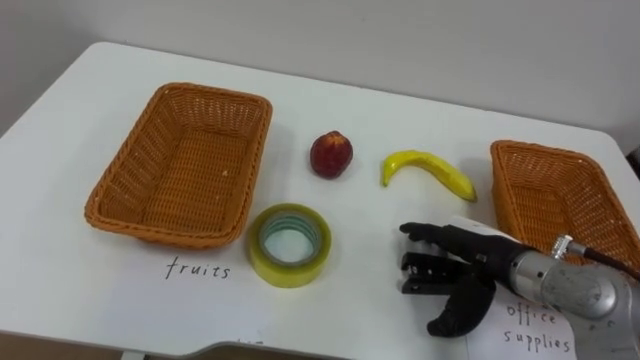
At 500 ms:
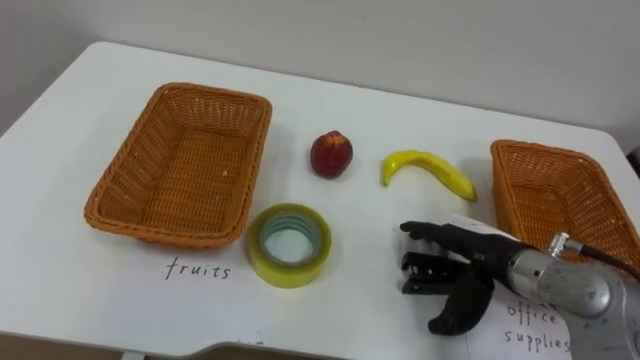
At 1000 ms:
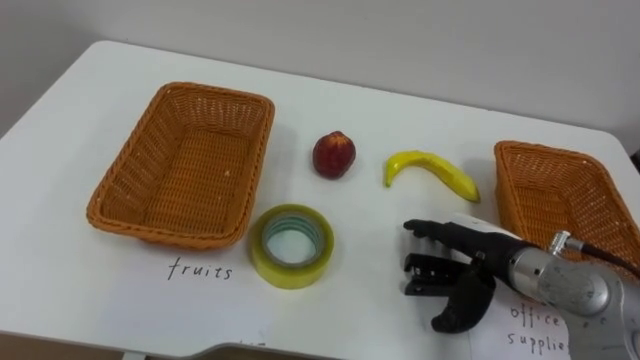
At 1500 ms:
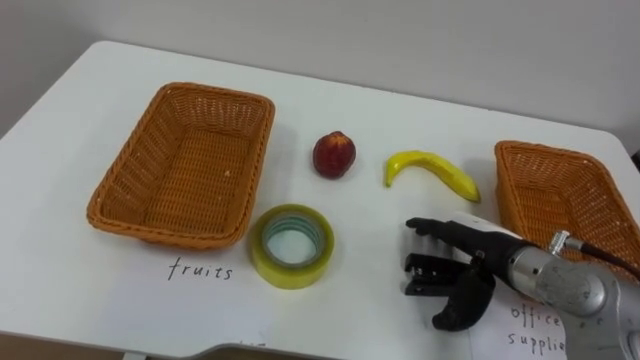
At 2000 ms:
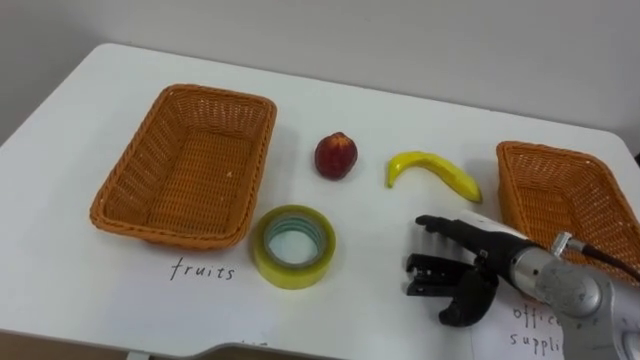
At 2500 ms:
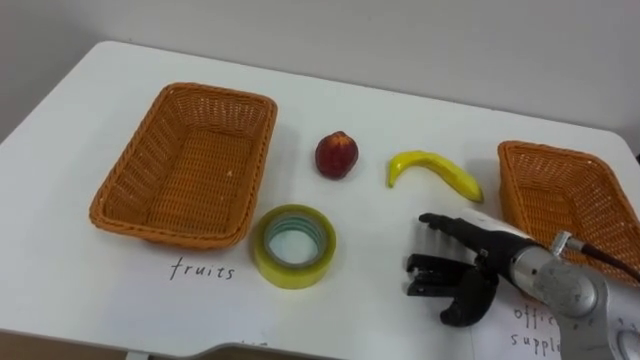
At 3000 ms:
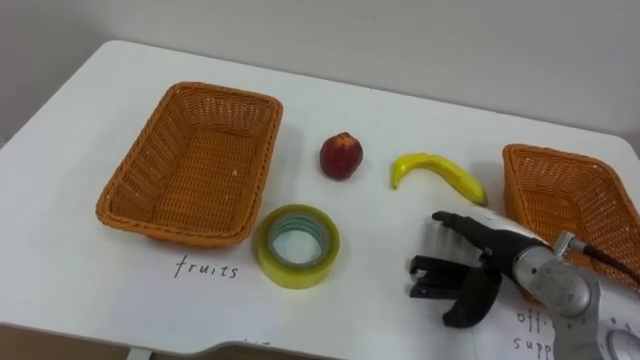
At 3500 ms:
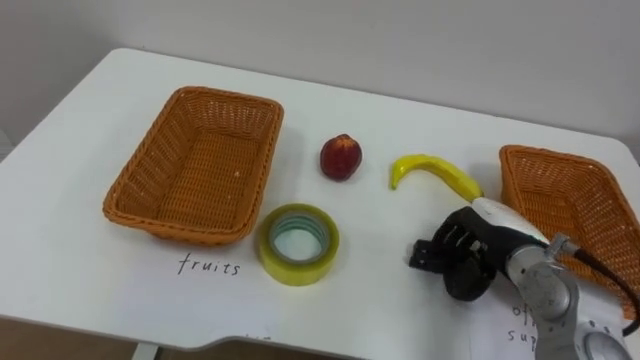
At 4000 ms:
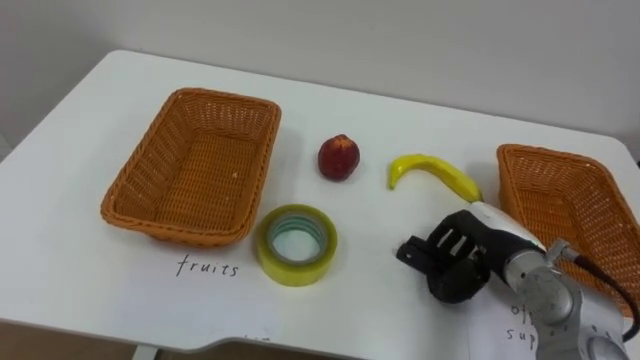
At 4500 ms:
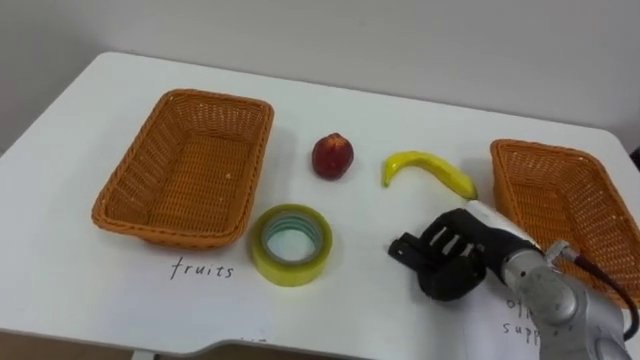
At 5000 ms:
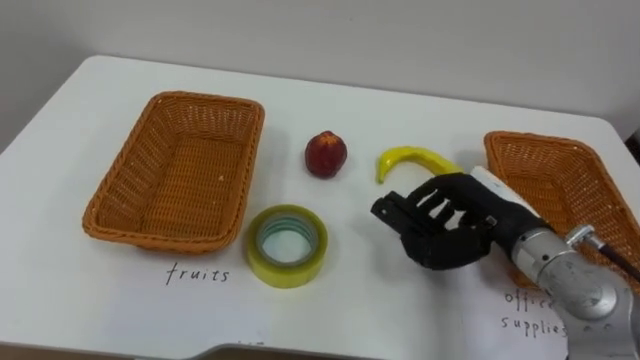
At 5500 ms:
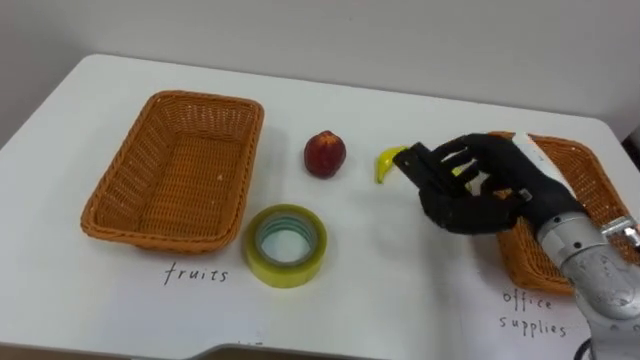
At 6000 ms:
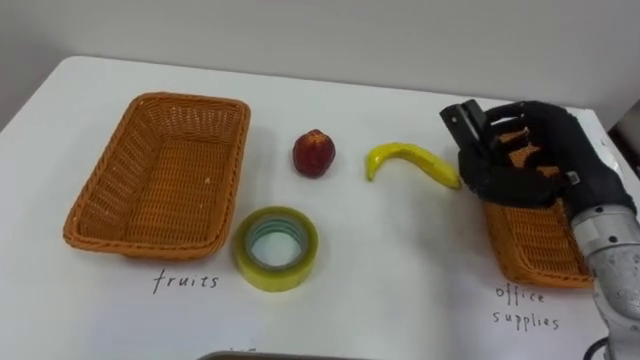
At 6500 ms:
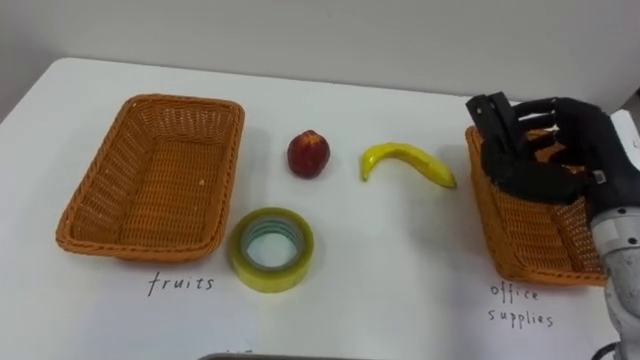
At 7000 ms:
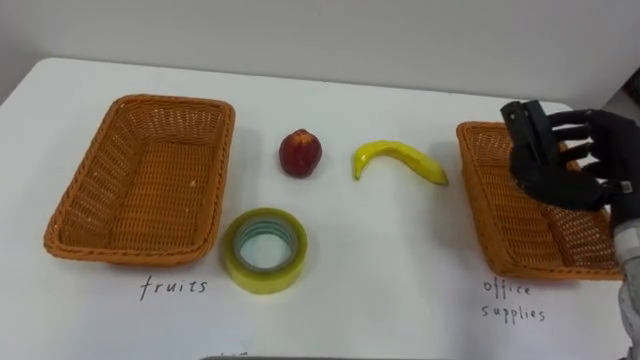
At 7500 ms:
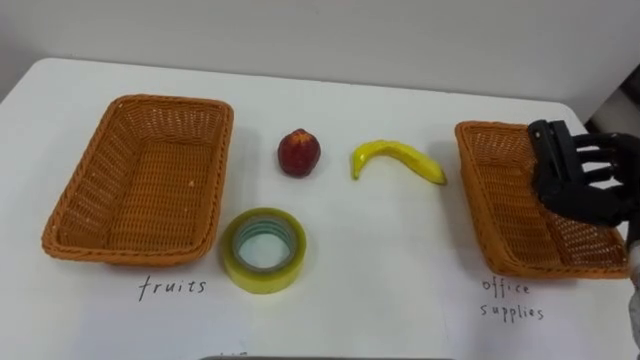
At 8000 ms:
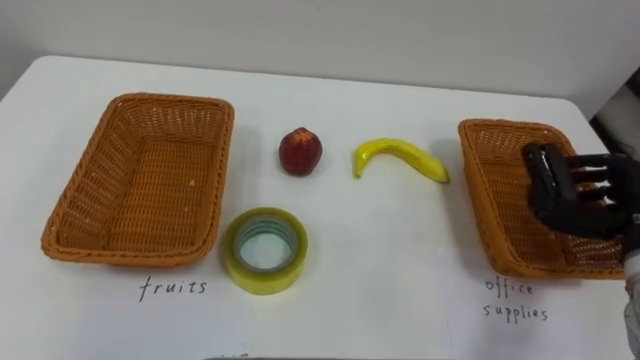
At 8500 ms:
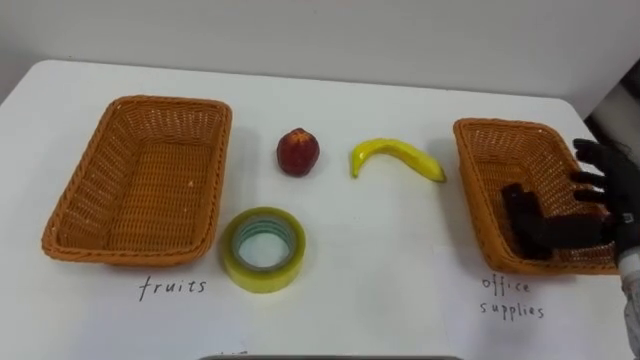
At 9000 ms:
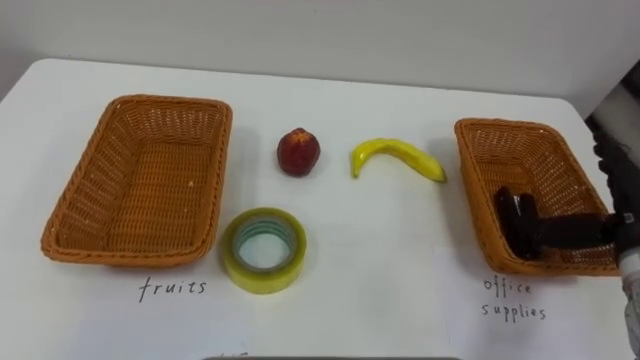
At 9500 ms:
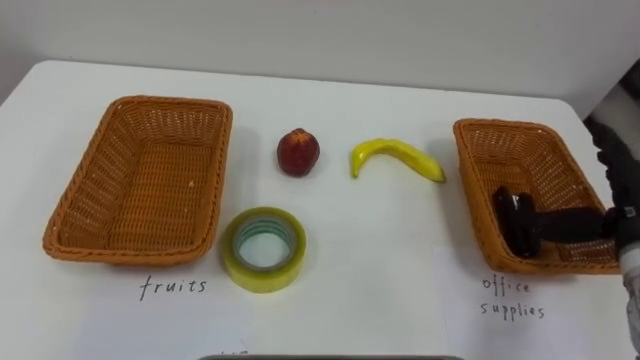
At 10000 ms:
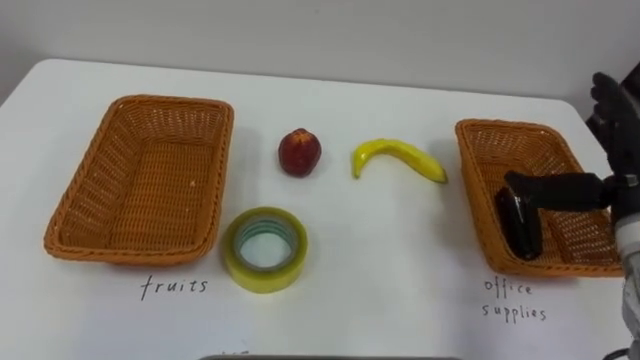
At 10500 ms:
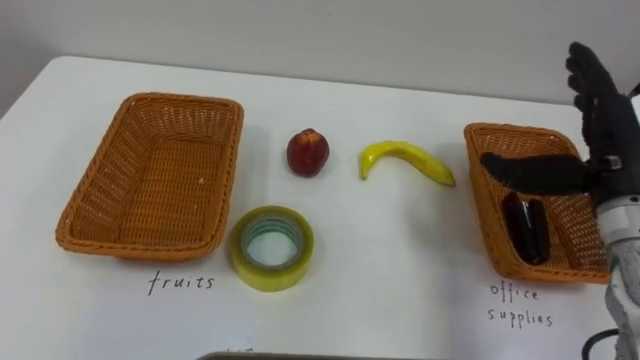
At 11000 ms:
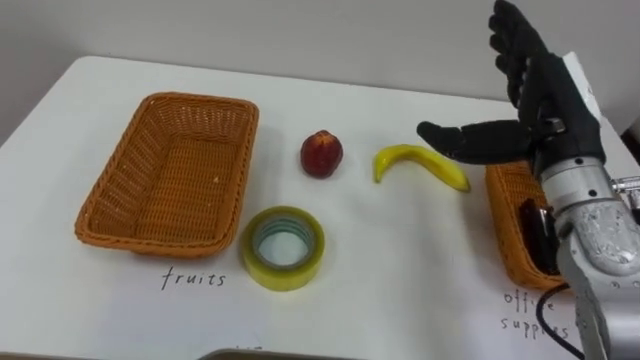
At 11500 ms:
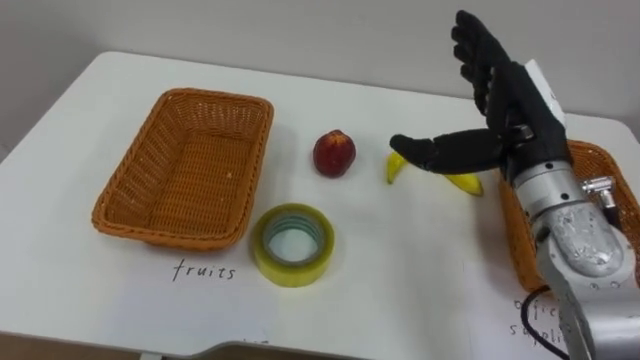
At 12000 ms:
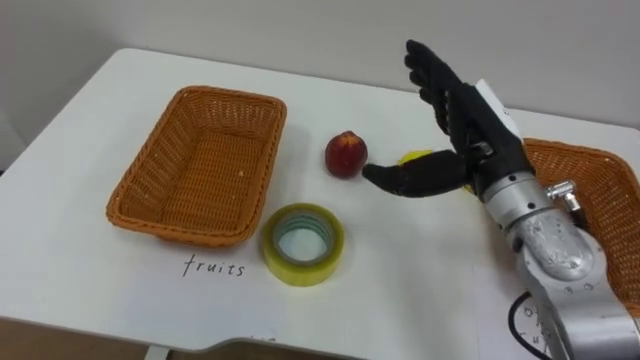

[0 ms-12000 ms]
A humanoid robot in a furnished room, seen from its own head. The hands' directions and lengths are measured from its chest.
Task of the whole recording: Separate the items on the table and place them into the two baskets.
2000 ms to 4000 ms: The right hand closes up.
4000 ms to 6000 ms: The right hand is displaced upward by approximately 10 cm.
8000 ms to 10000 ms: The right hand travels upward by about 5 cm, and opens its fingers.
10000 ms to 12000 ms: The right hand moves to the left, approximately 15 cm.

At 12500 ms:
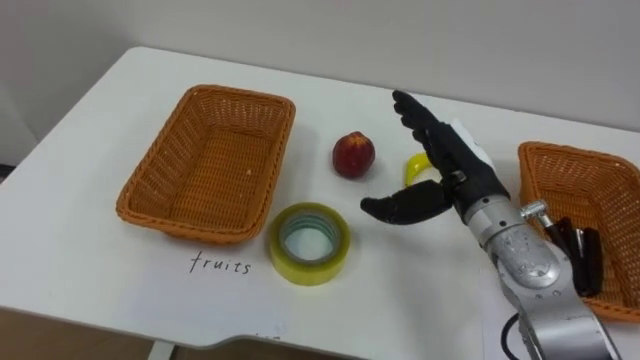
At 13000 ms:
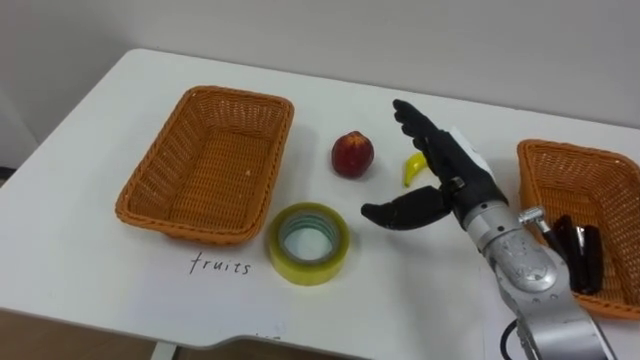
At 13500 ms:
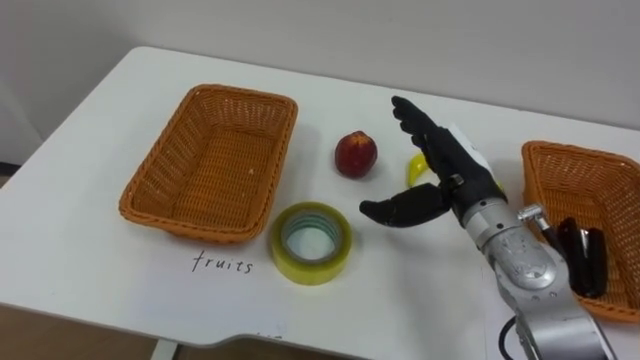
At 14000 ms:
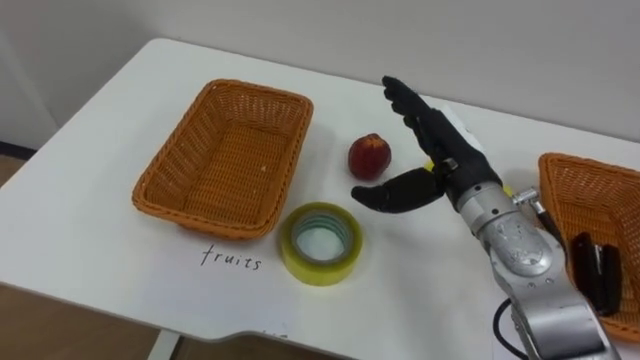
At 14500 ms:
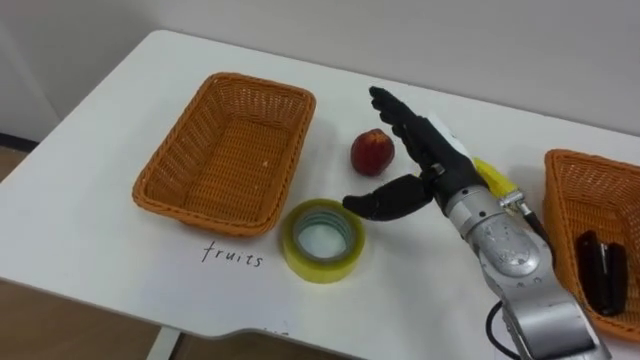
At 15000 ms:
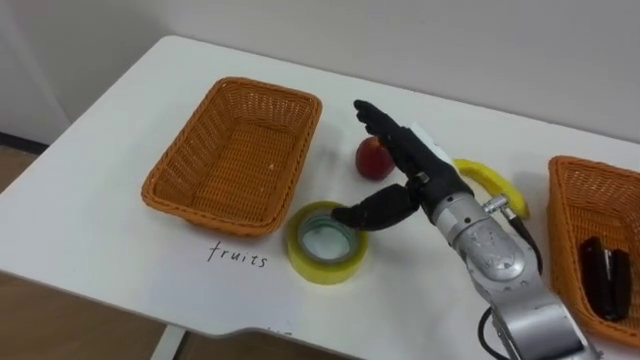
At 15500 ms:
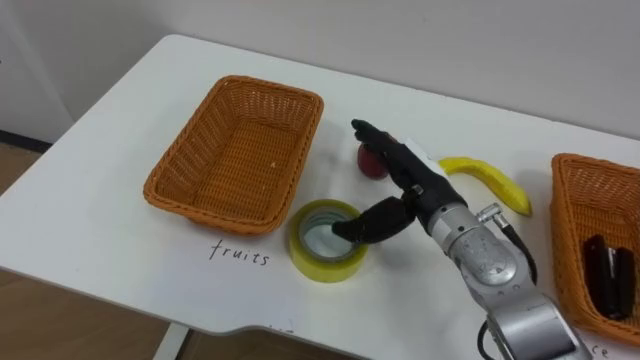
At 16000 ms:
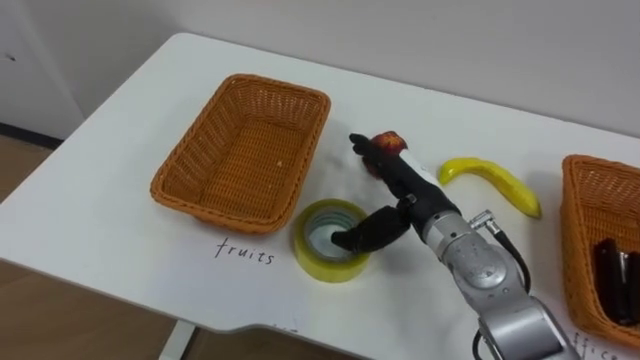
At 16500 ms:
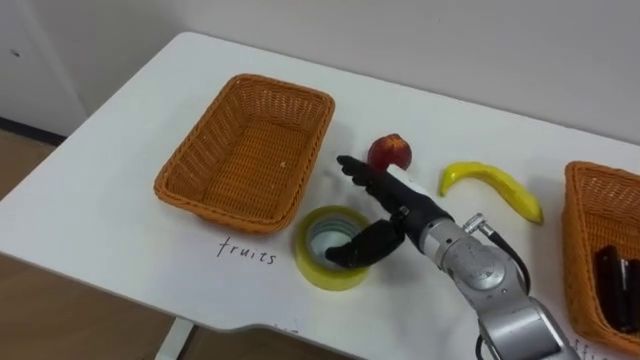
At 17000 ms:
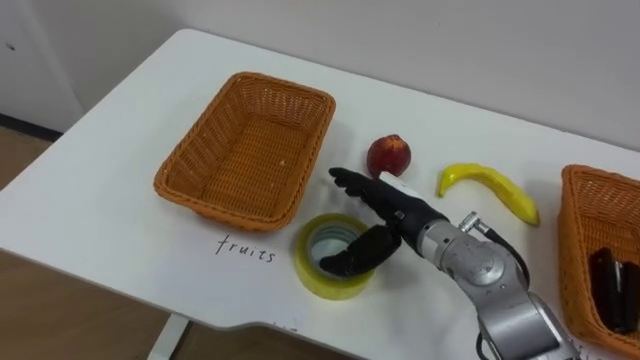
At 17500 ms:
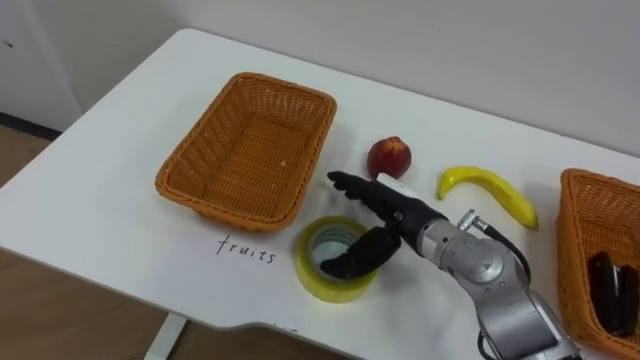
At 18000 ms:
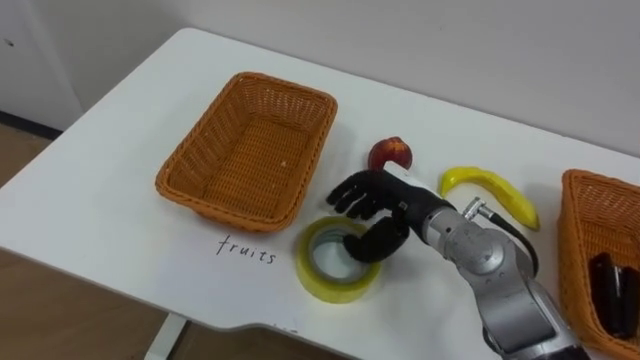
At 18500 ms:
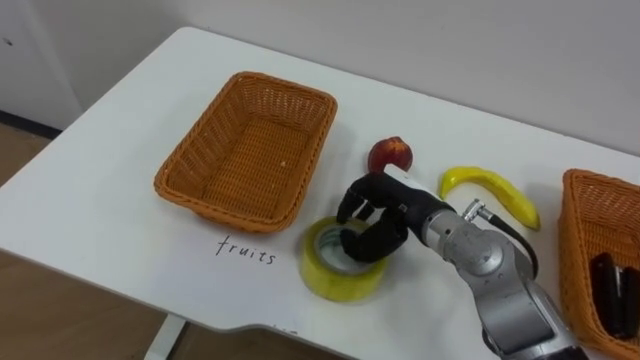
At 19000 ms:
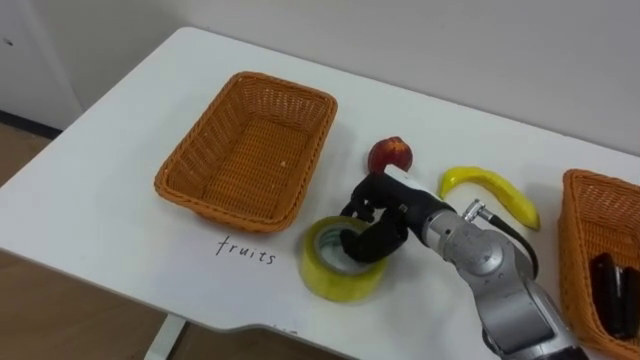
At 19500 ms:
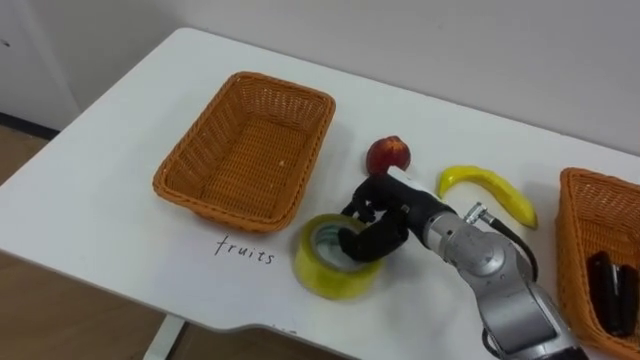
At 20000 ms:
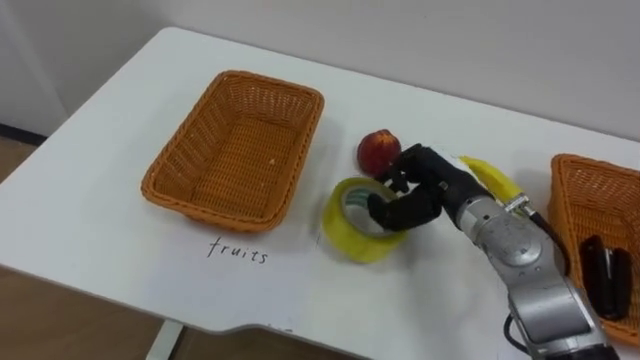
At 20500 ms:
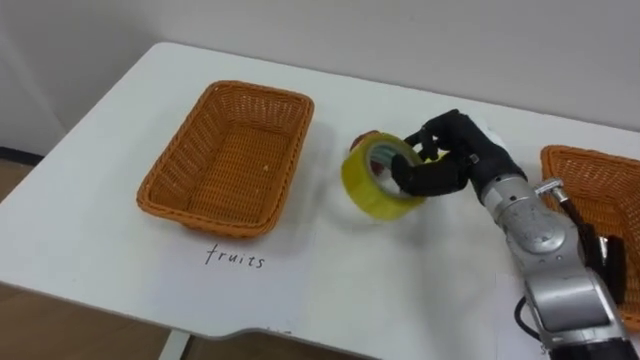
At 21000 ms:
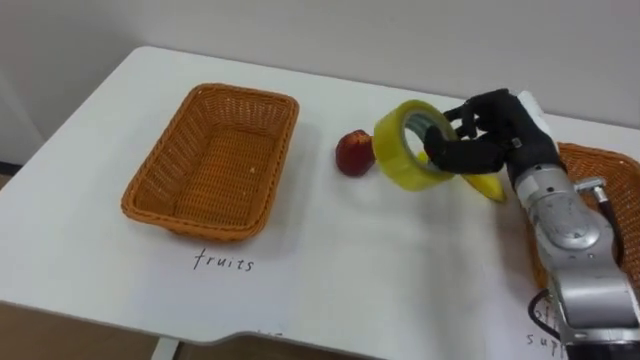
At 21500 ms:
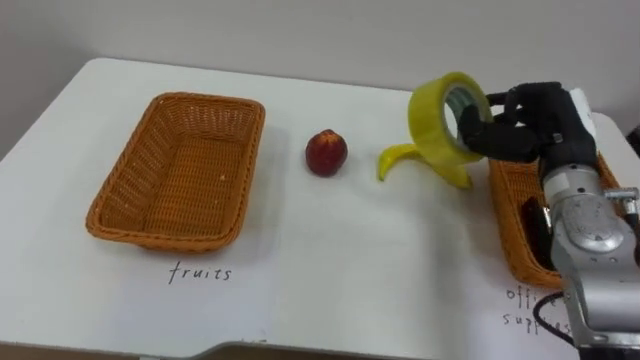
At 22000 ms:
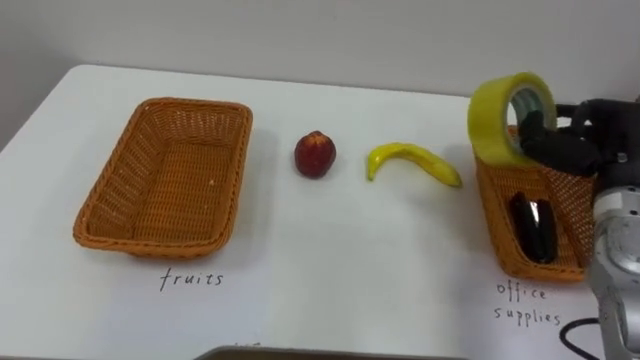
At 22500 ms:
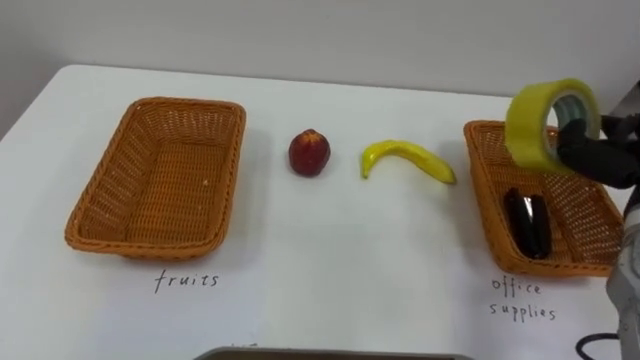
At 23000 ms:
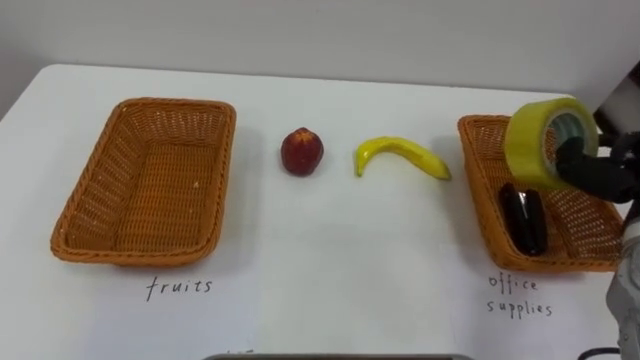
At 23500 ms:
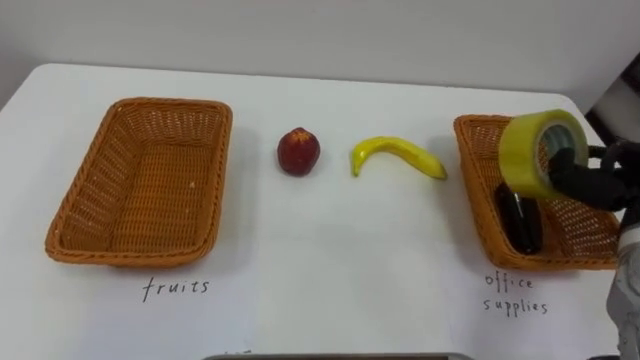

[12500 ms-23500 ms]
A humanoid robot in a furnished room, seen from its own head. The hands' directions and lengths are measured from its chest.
Task of the whole recording: Separate the items on the table and place them into the two baskets.
14500 ms to 16000 ms: The right hand travels downward by some 5 cm.
16000 ms to 18000 ms: The right hand closes its fingers.
18000 ms to 20000 ms: The right hand moves approximately 5 cm, and closes.
20000 ms to 21500 ms: The right hand goes about 15 cm to the right and upward.
